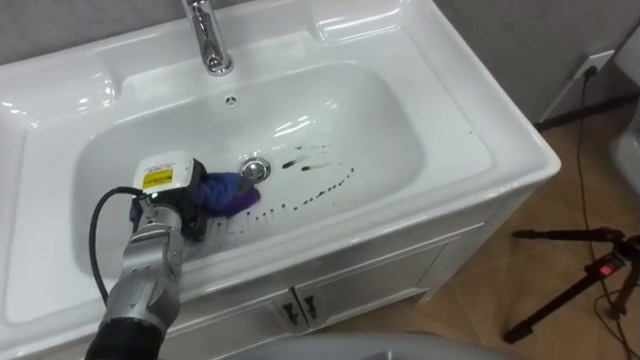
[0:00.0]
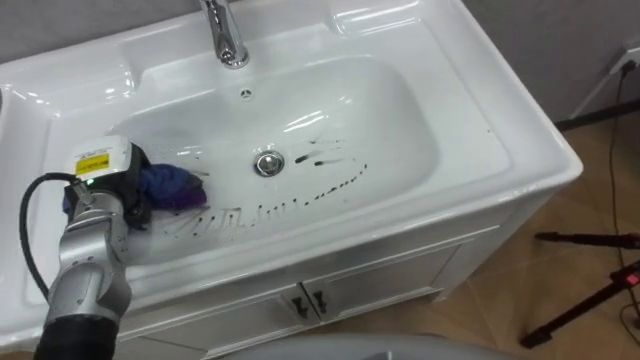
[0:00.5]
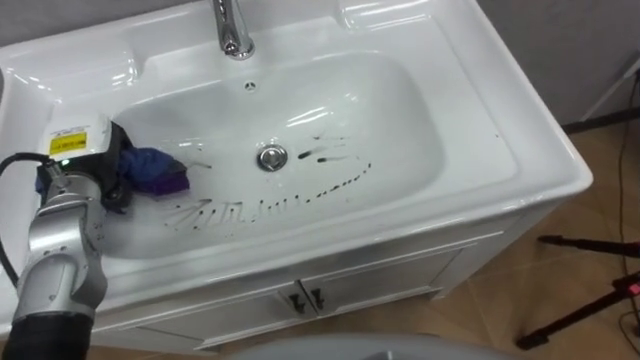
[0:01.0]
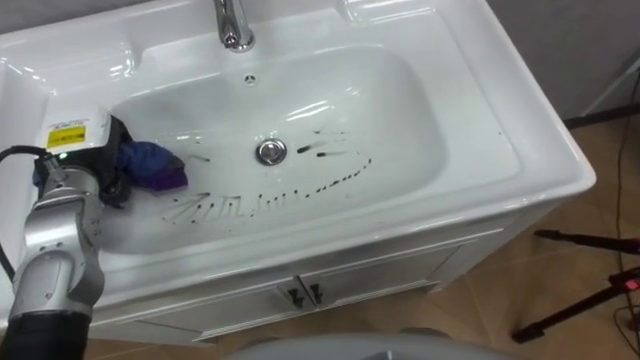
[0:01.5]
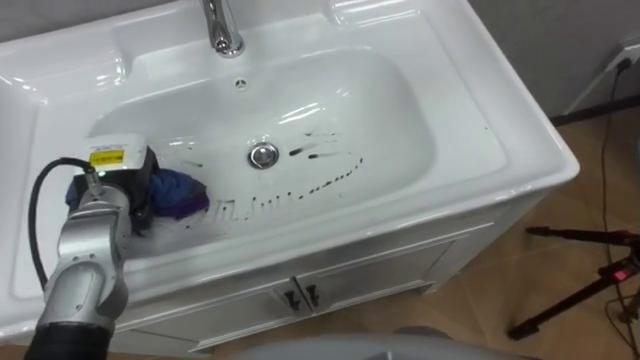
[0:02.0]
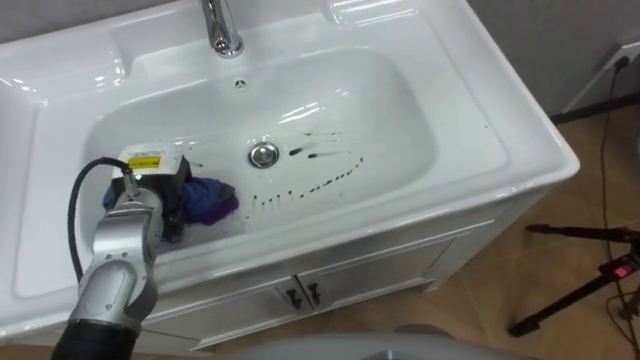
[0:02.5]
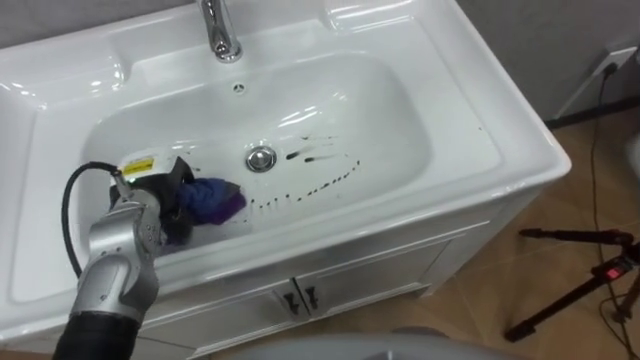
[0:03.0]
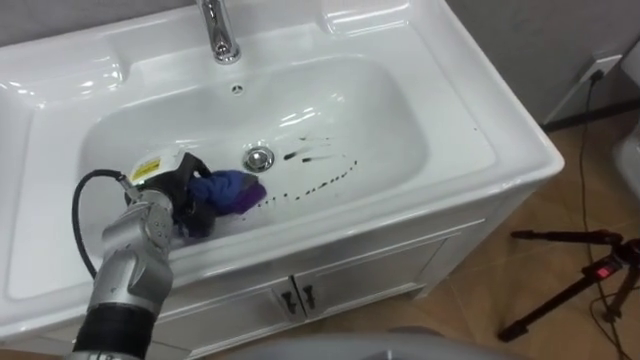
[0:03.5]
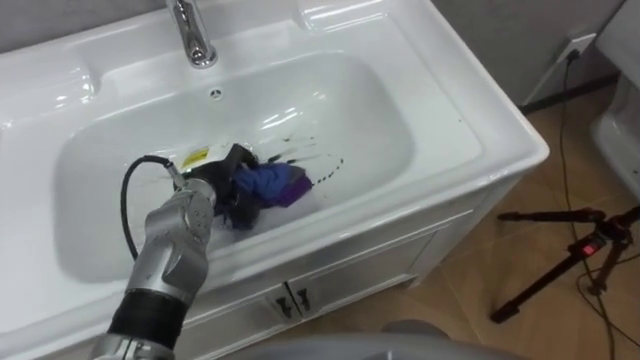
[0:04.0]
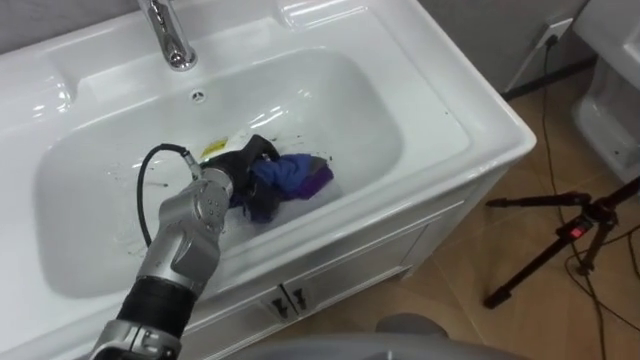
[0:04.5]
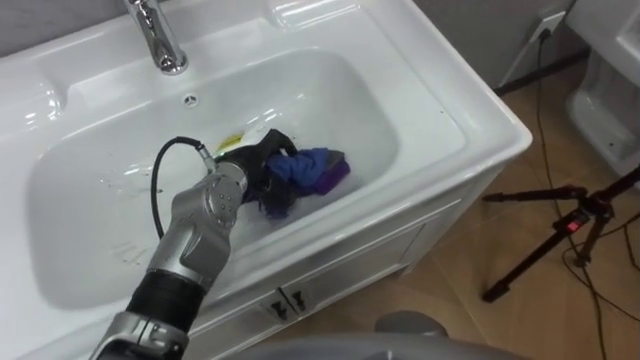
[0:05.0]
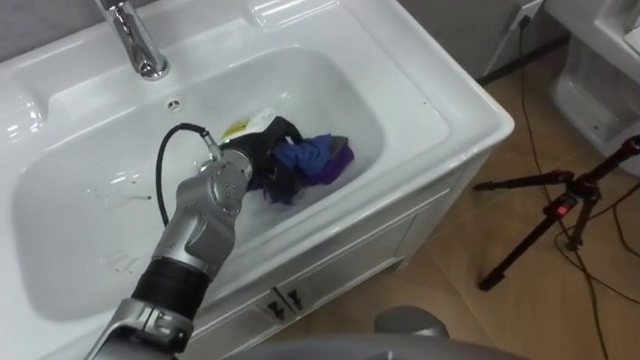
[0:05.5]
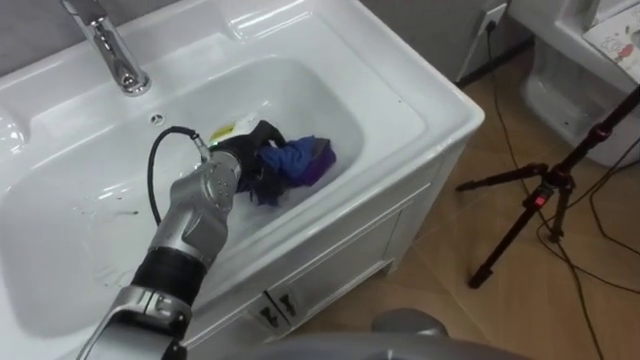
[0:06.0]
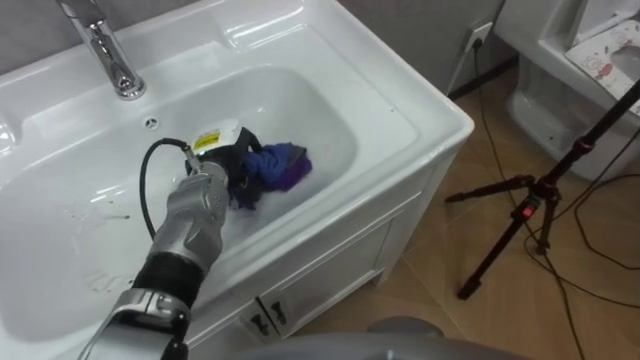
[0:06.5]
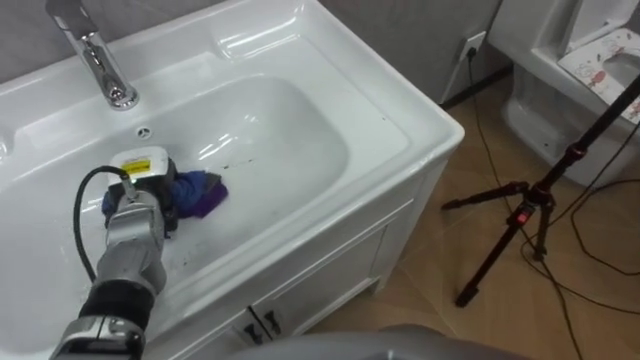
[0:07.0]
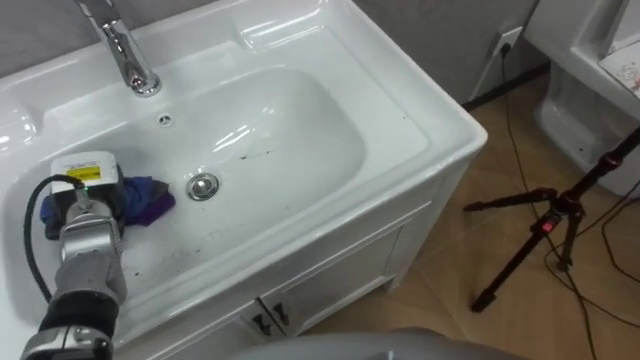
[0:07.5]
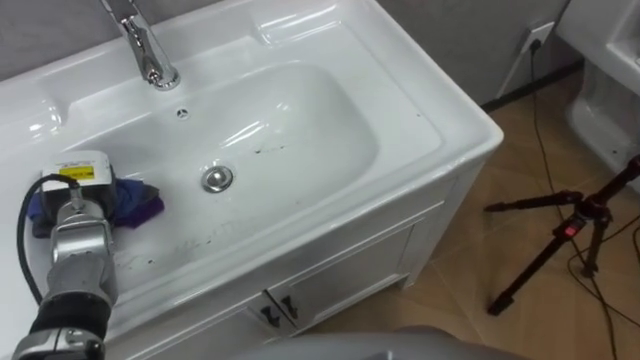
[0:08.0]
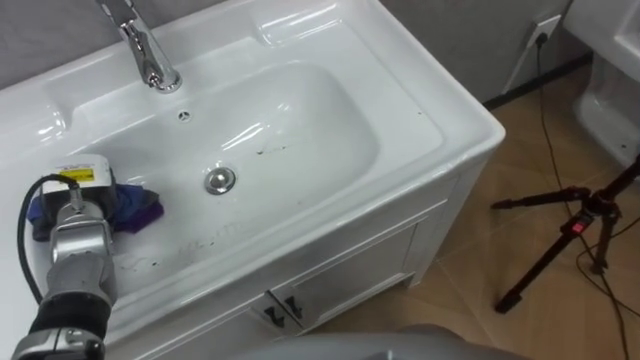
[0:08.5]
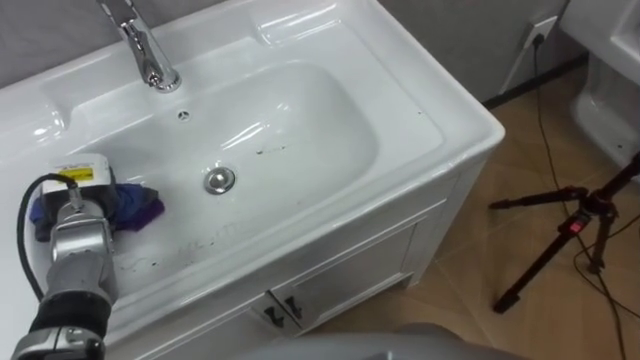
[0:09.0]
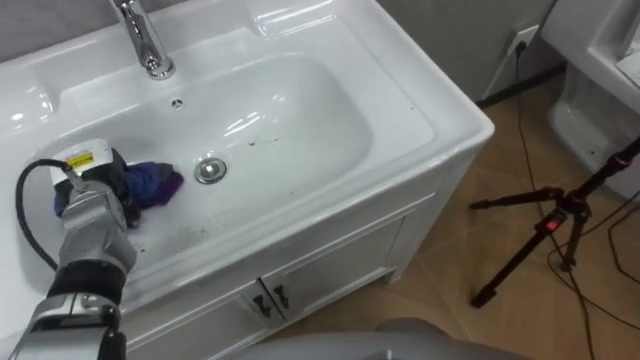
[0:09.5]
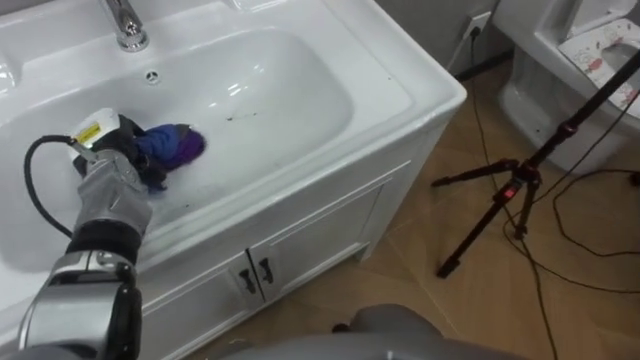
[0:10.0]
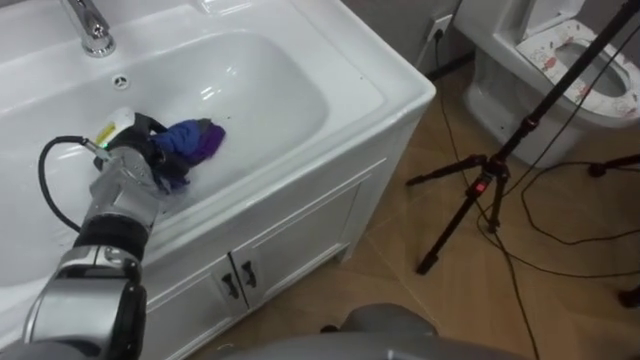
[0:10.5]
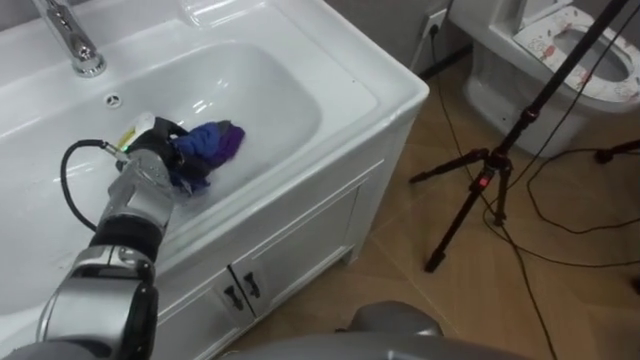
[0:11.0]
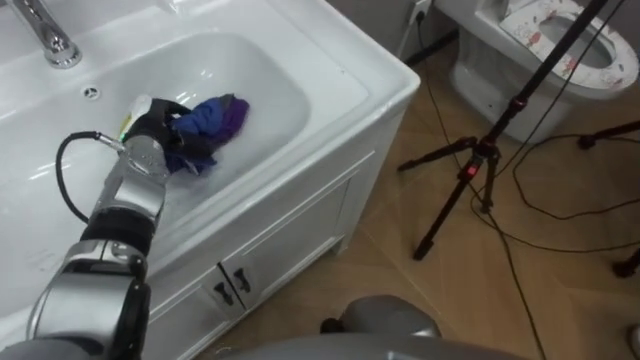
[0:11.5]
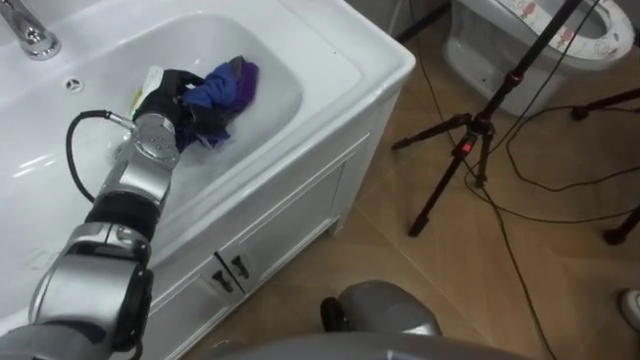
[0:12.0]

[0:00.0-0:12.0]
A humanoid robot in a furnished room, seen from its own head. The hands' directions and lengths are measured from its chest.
Task of the whole recording: Use the cloth on the right to wipe away the black stain in the sink.
0:00.0 to 0:02.0: The left hand heads upward and to the left, covering about 10 cm.
0:02.0 to 0:04.0: The left hand goes some 10 cm to the right.
0:04.0 to 0:06.0: The left hand shifts by about 5 cm.
0:06.0 to 0:08.0: The left hand is displaced to the left by some 20 cm.
0:08.0 to 0:10.0: The left hand goes roughly 5 cm forward.
0:10.0 to 0:12.0: The left hand heads to the right and forward, covering some 10 cm.

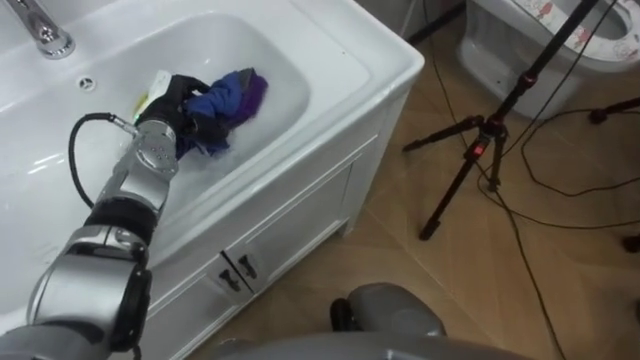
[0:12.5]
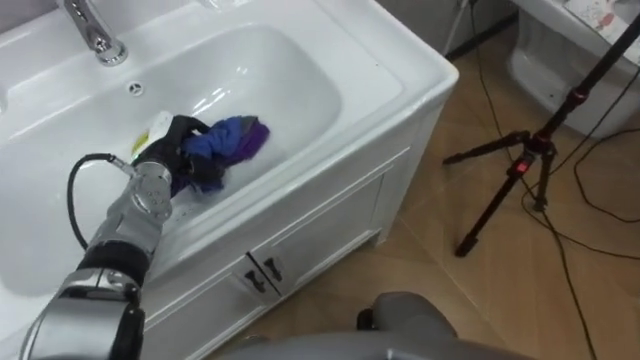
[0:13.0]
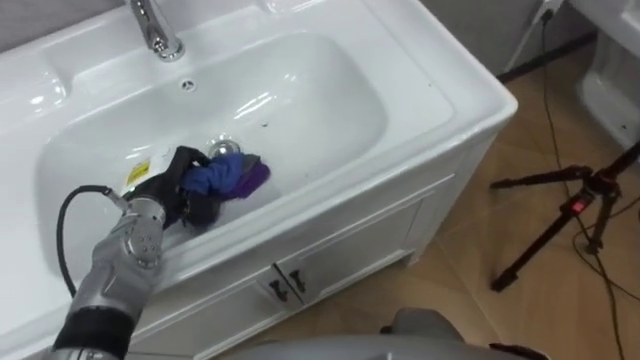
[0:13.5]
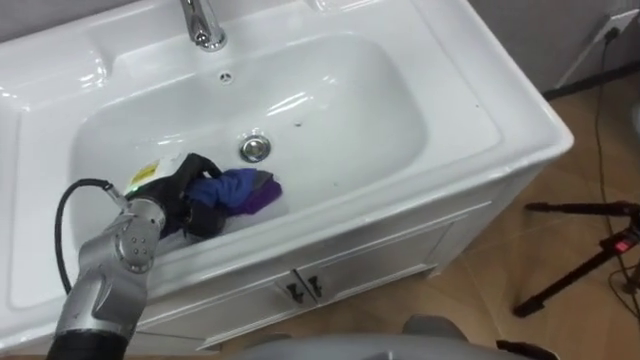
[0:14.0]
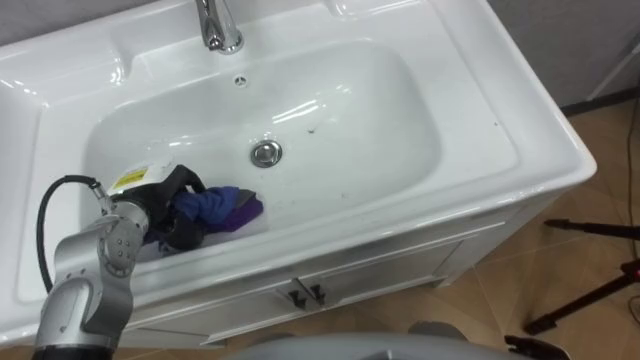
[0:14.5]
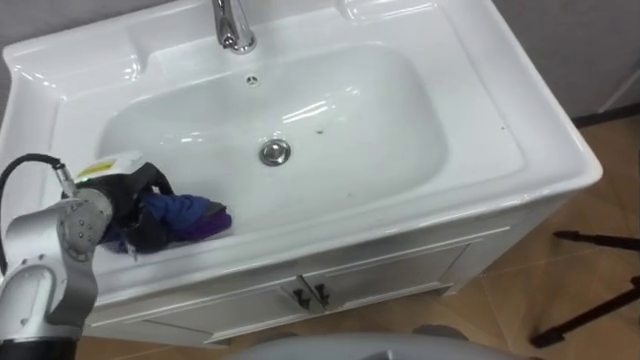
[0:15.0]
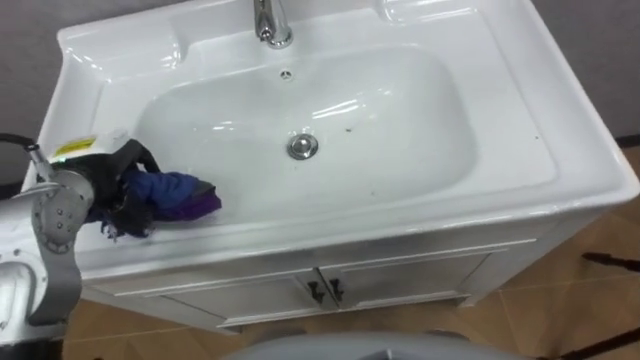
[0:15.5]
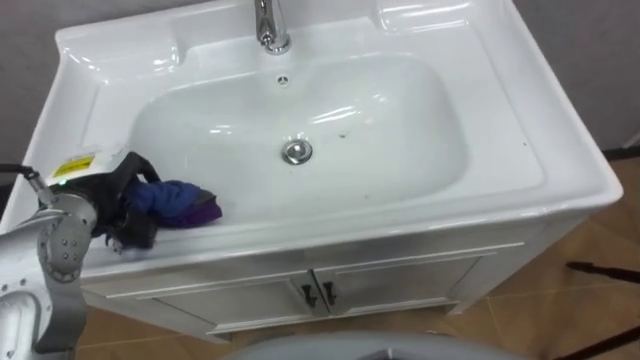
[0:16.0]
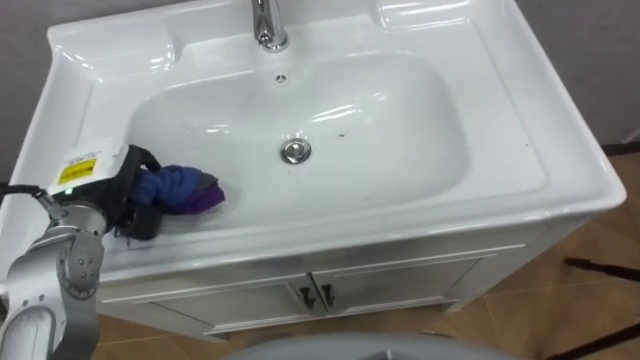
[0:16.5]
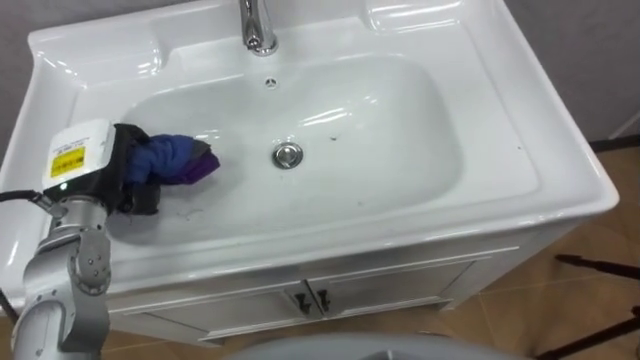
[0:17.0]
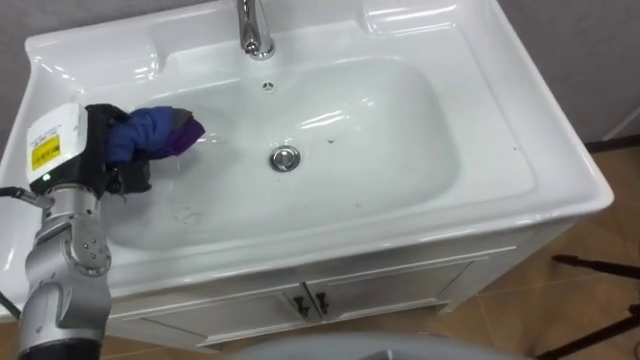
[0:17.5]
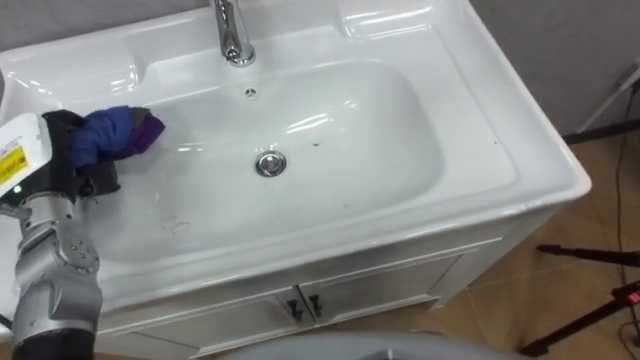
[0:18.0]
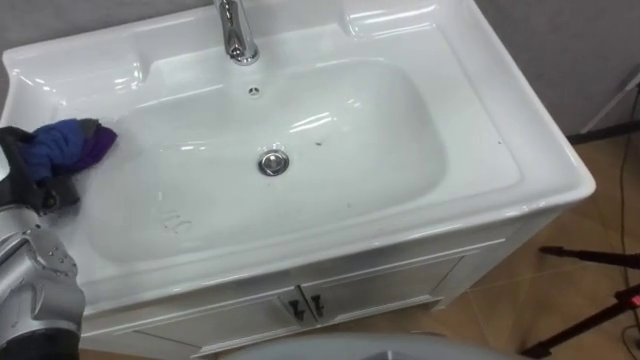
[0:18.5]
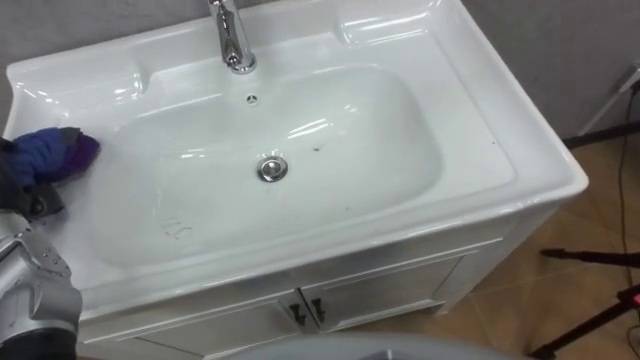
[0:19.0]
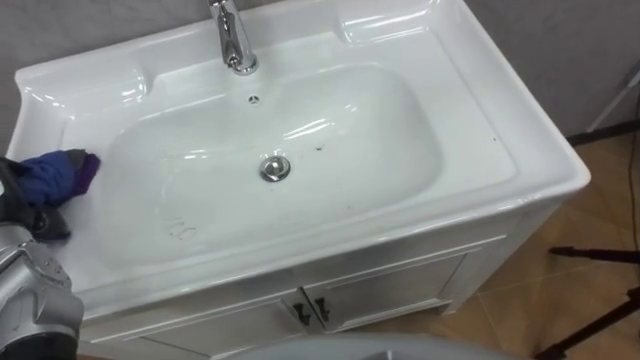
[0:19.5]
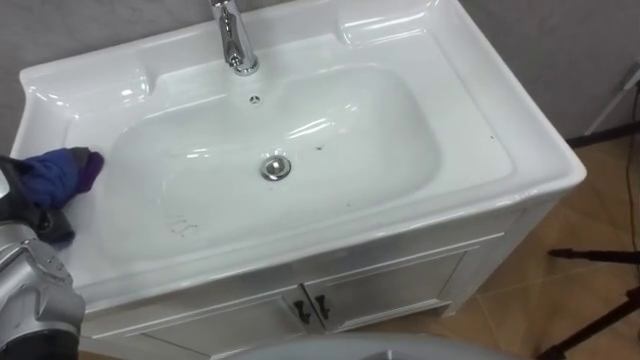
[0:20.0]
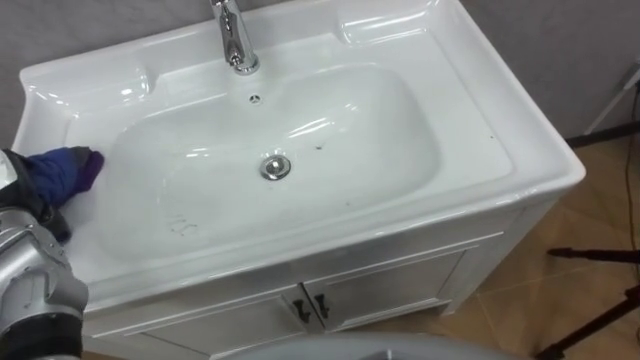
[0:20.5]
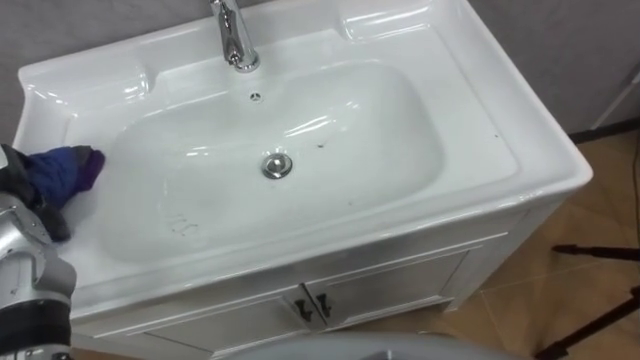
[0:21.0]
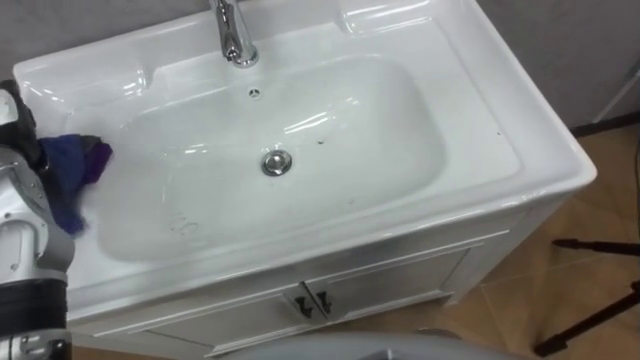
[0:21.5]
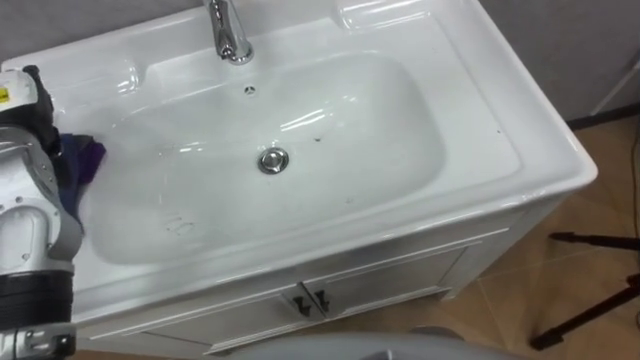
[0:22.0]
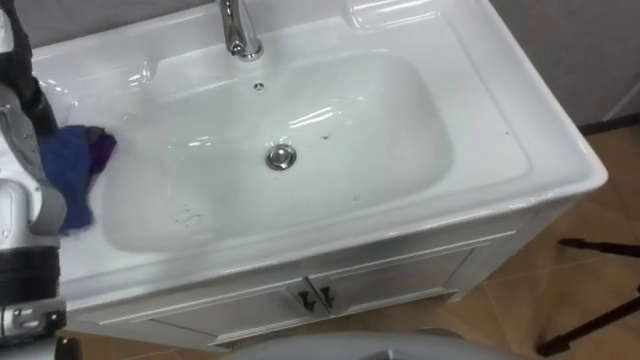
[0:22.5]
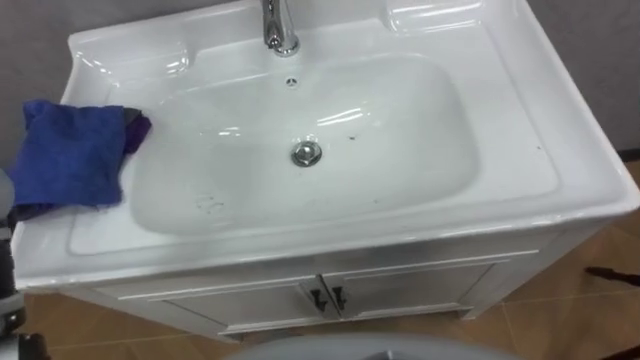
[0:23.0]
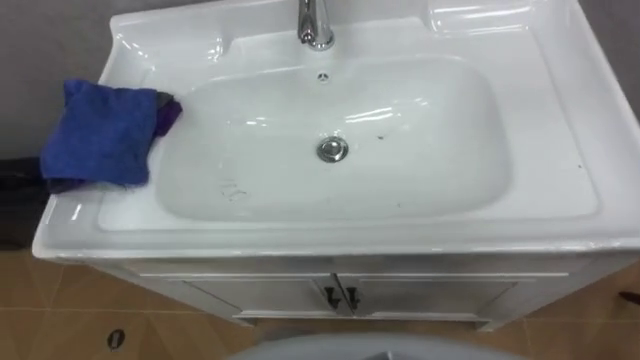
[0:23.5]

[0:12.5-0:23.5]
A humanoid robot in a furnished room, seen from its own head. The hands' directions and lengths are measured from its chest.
Task of the whole recording: Use the cloth on the right to wipe away the black stain in the sink.
0:12.5 to 0:14.5: The left hand is displaced backward by approximately 15 cm.
0:14.5 to 0:16.0: The left hand shifts approximately 5 cm upward.
0:16.0 to 0:18.0: The left hand moves to the left, some 5 cm.
